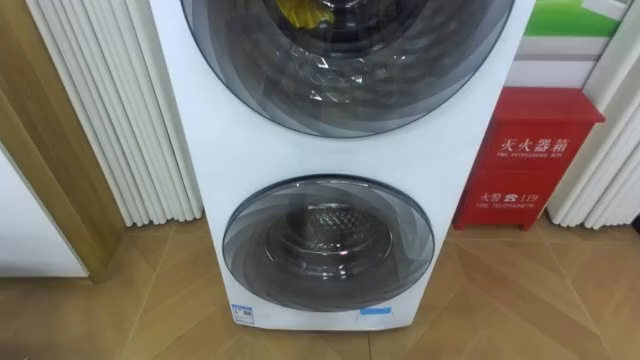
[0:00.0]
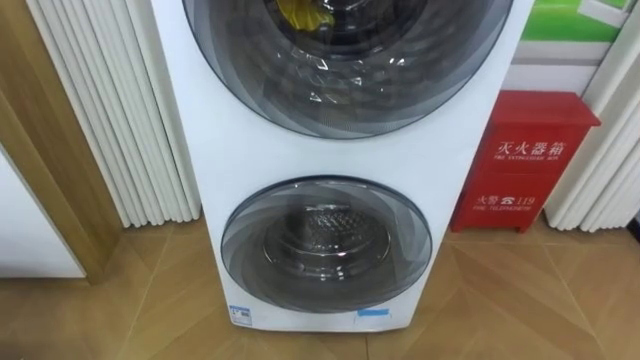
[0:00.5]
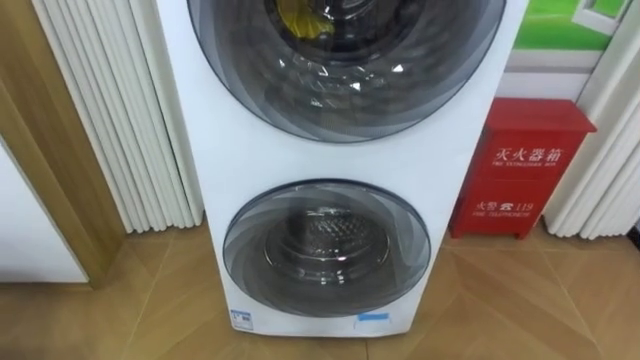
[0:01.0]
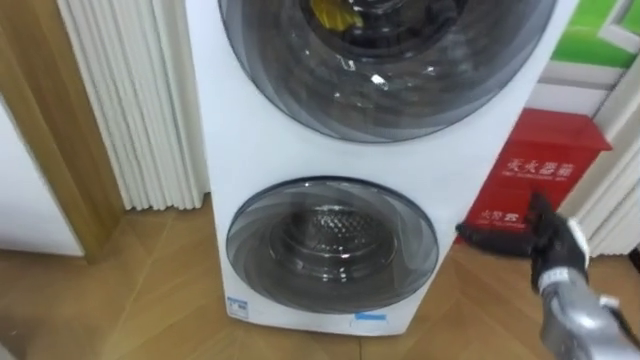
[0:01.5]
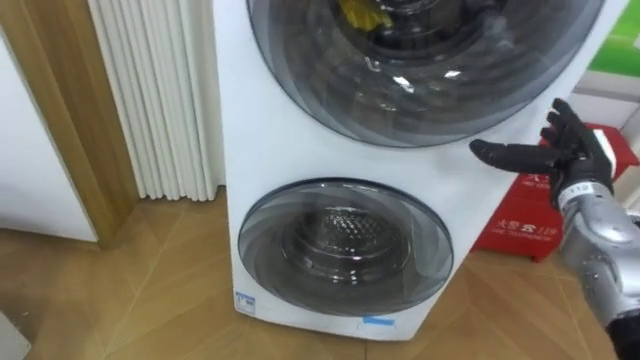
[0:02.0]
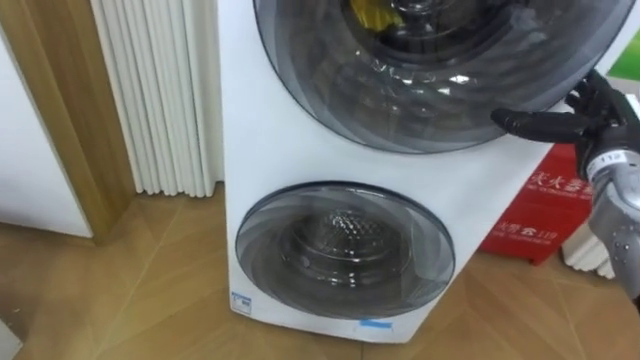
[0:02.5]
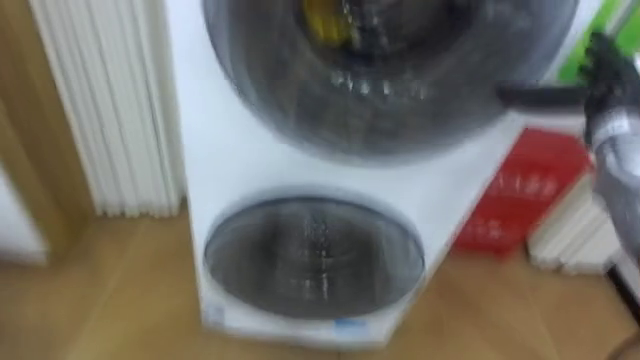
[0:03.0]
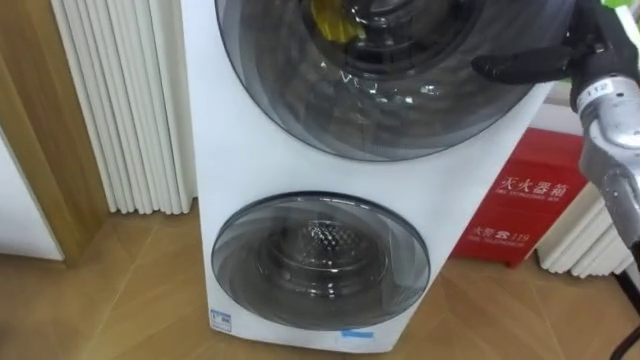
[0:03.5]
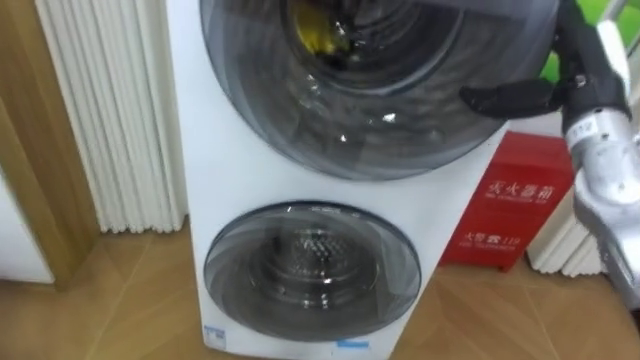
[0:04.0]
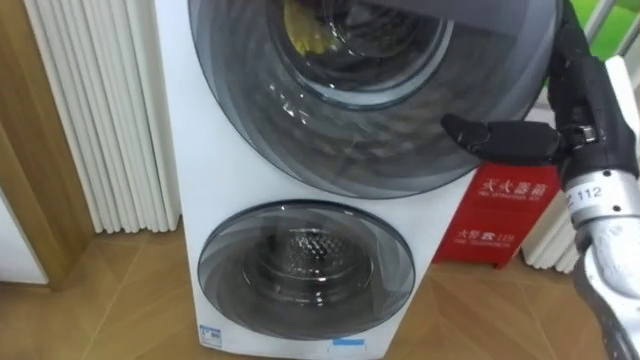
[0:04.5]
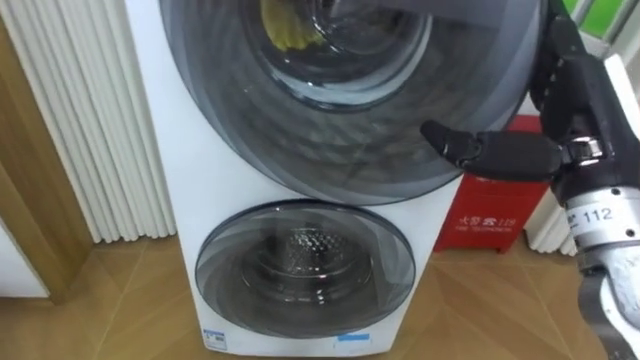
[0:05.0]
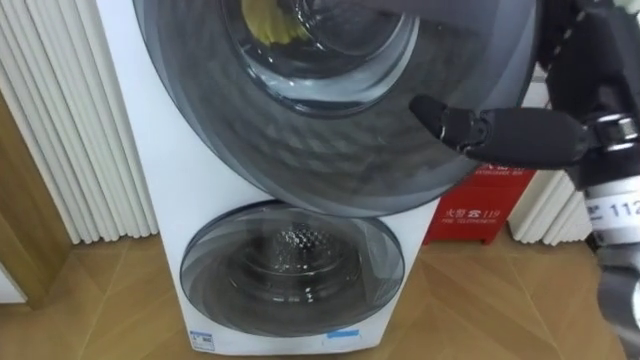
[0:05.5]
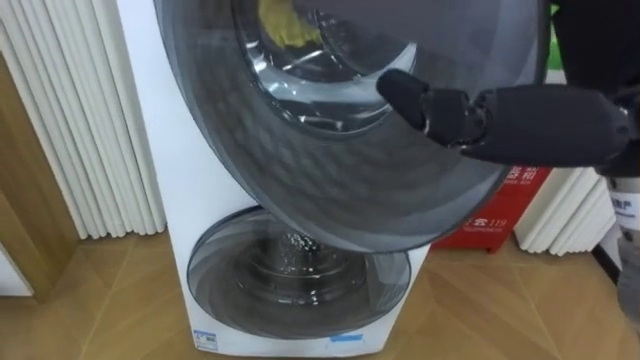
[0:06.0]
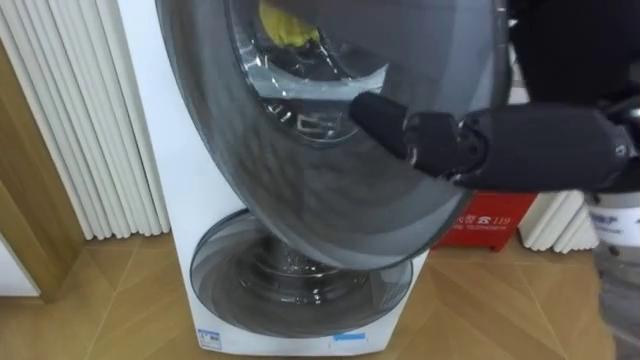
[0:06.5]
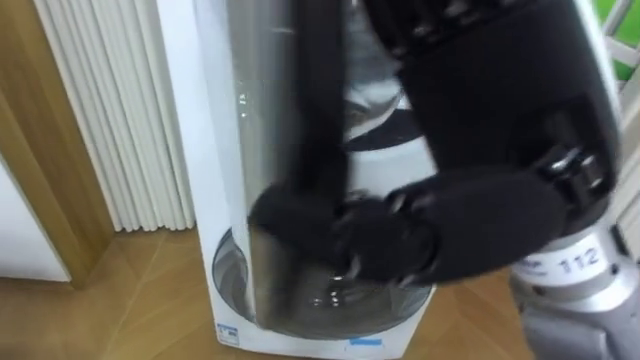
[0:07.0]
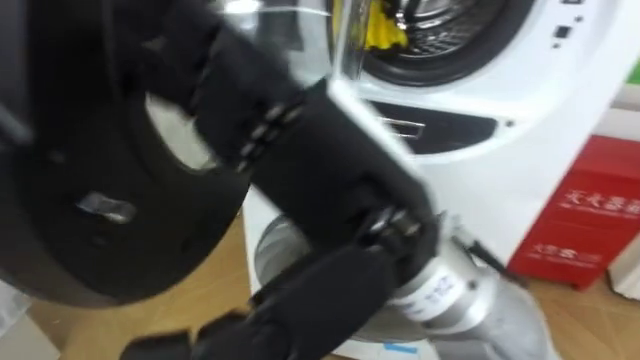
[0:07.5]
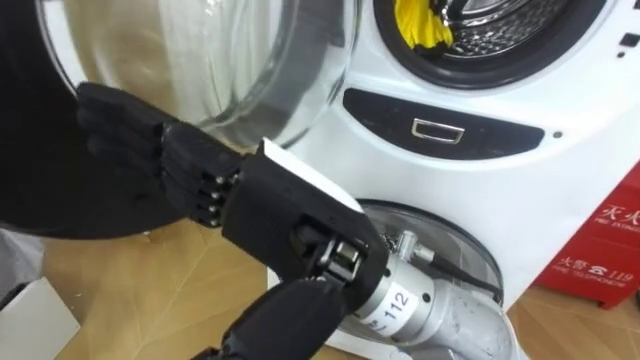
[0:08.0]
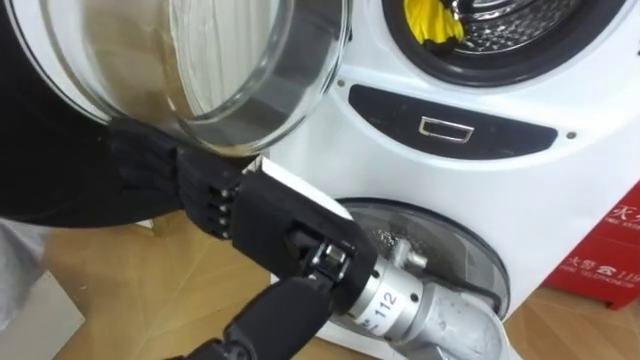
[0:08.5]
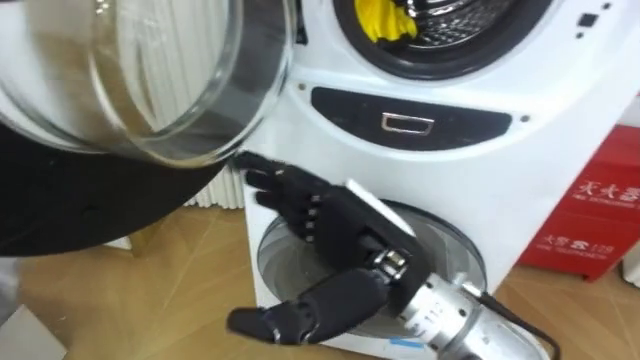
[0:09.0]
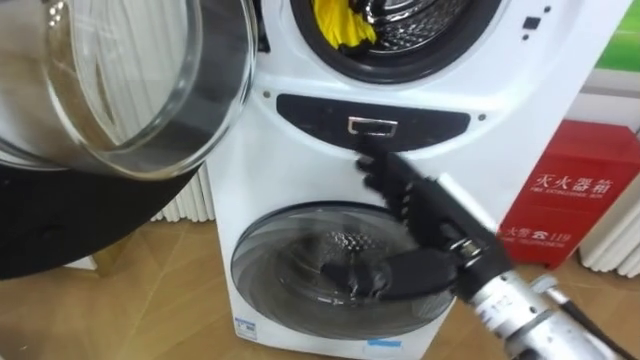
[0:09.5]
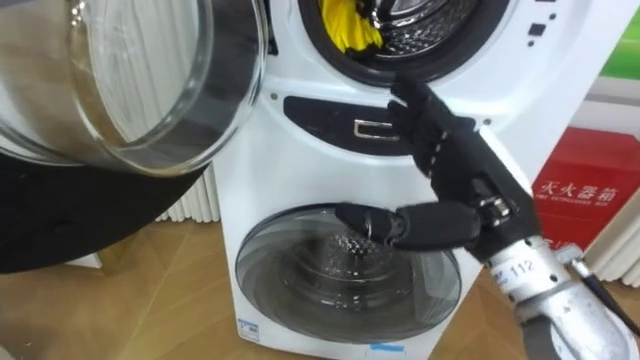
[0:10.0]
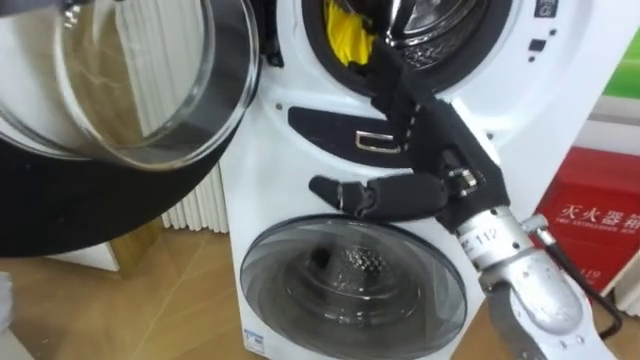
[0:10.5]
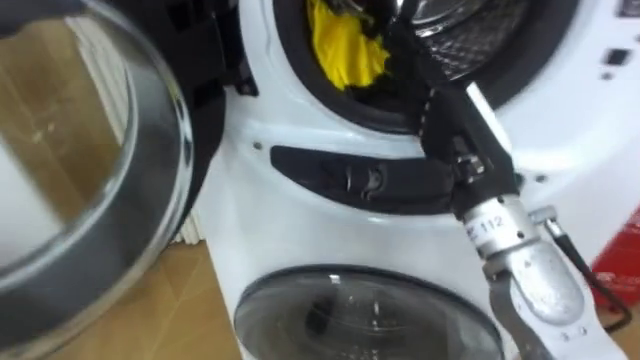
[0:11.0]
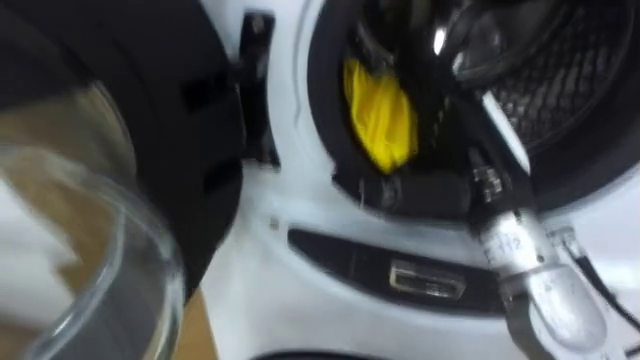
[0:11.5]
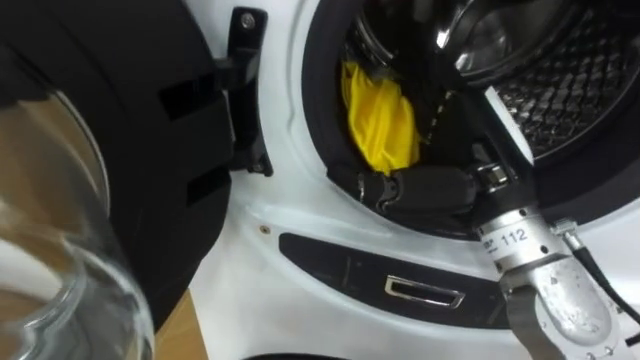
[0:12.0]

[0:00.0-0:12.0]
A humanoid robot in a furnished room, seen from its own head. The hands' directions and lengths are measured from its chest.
Task of the whole recording: Open the washing machine door, take out the yellow clothes, place them in the box on the right, and close the washing machine door.
0:02.0 to 0:04.0: The right hand goes roughly 10 cm upward.
0:04.0 to 0:06.0: The right hand heads backward, upward and to the left, covering about 20 cm.
0:06.0 to 0:08.0: The right hand heads to the left and downward, covering approximately 20 cm.
0:08.0 to 0:10.0: The right hand travels to the right and forward by about 20 cm.

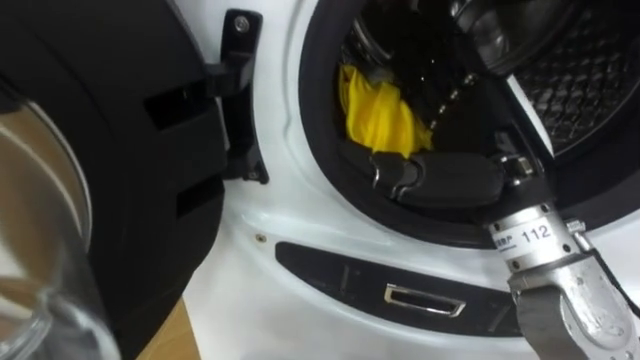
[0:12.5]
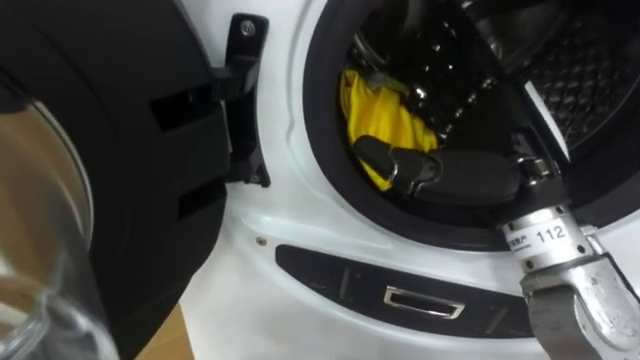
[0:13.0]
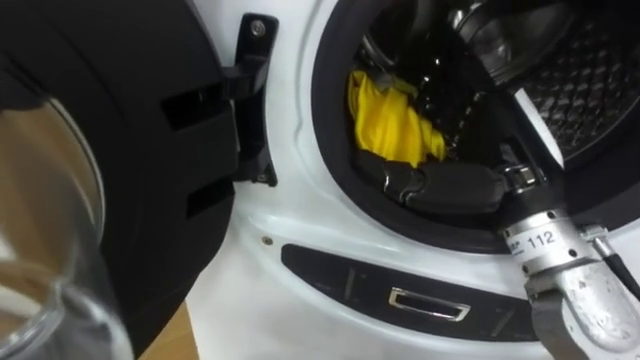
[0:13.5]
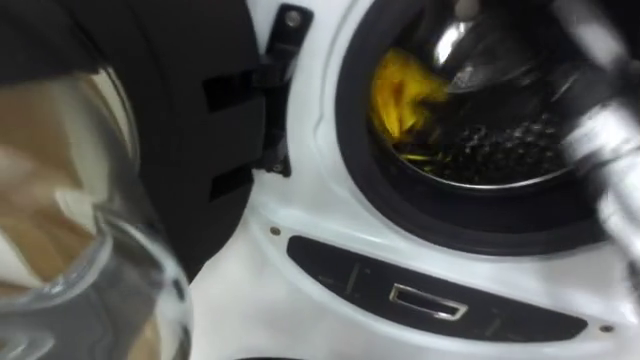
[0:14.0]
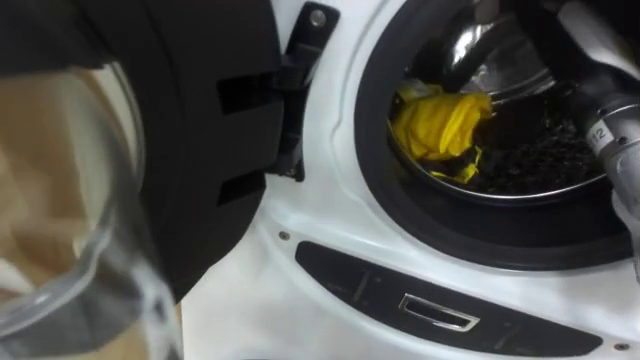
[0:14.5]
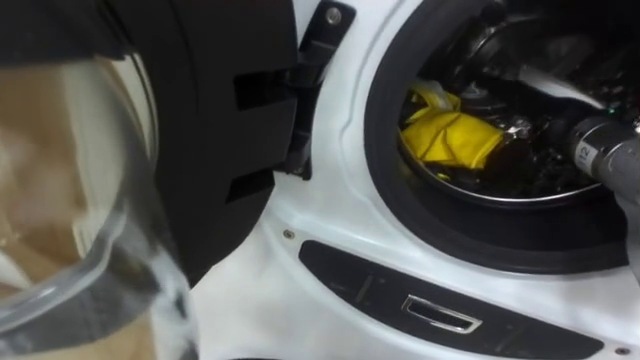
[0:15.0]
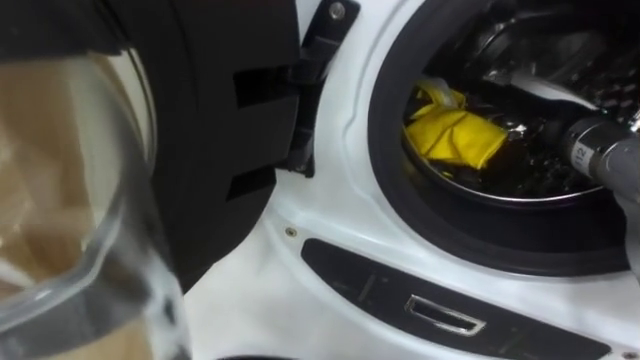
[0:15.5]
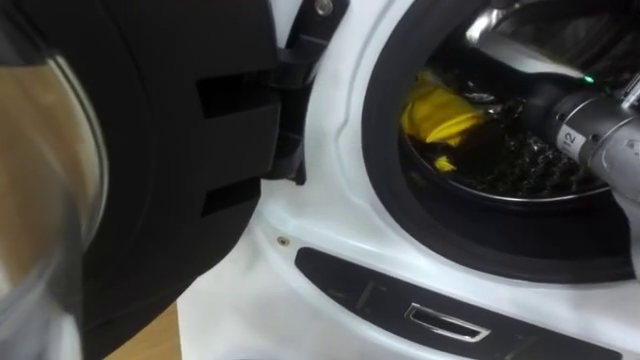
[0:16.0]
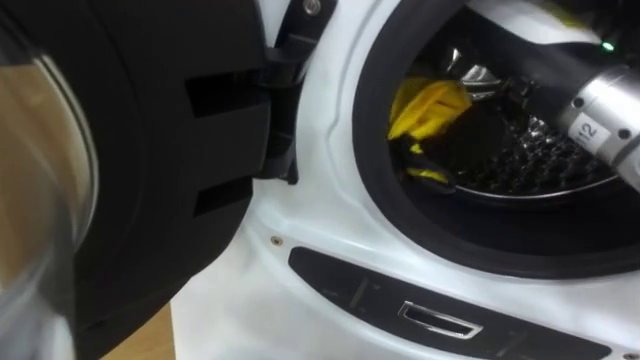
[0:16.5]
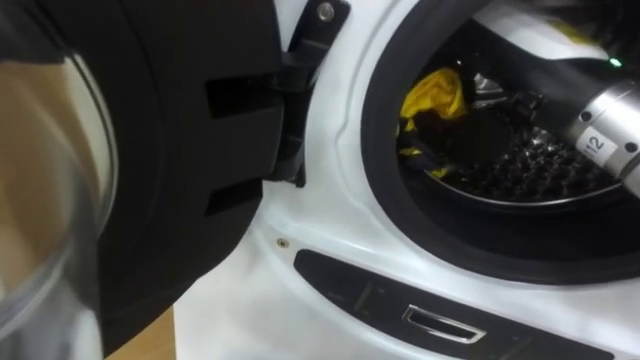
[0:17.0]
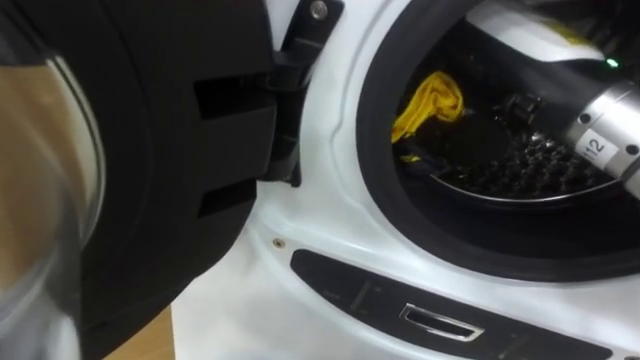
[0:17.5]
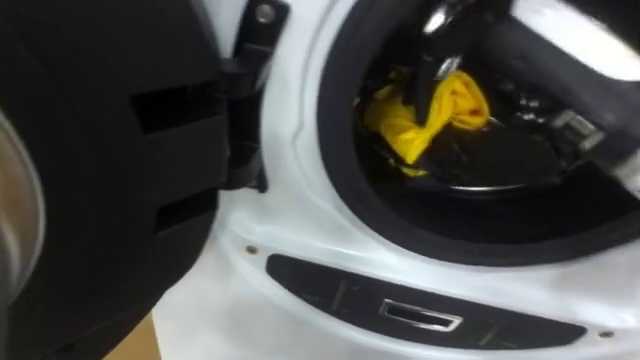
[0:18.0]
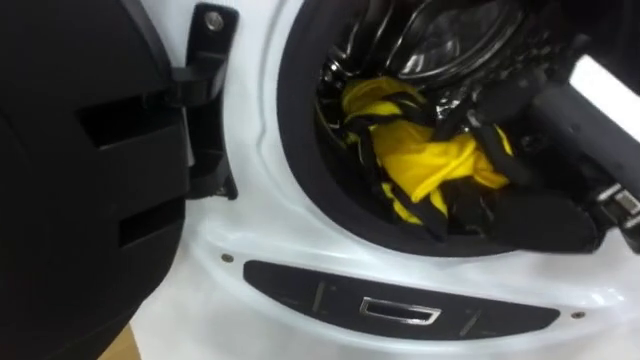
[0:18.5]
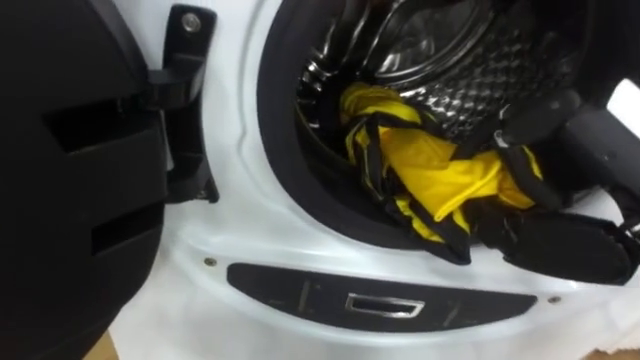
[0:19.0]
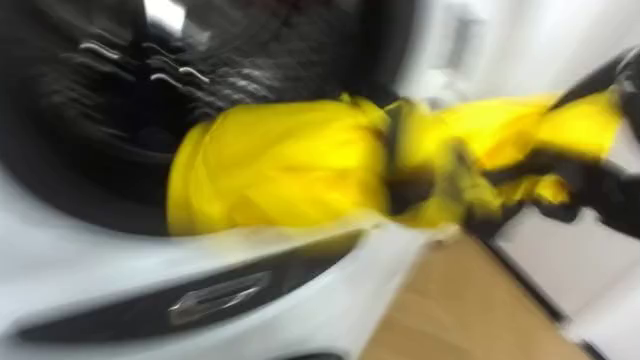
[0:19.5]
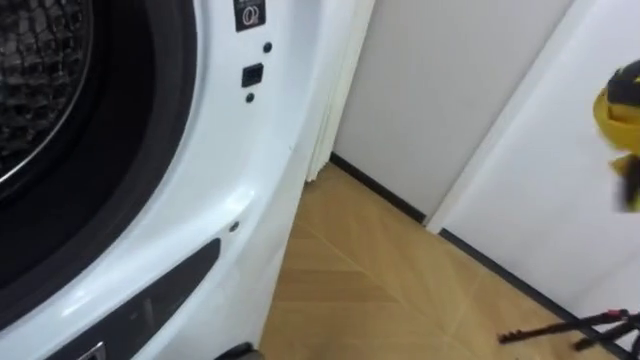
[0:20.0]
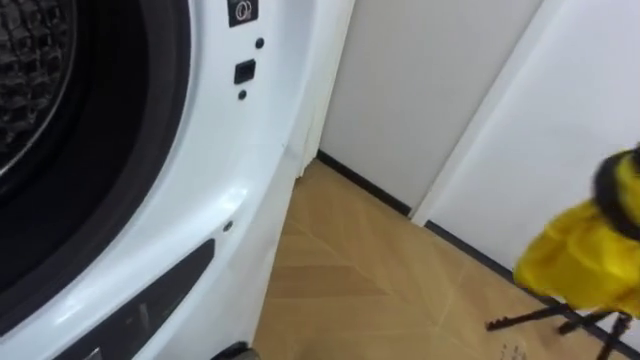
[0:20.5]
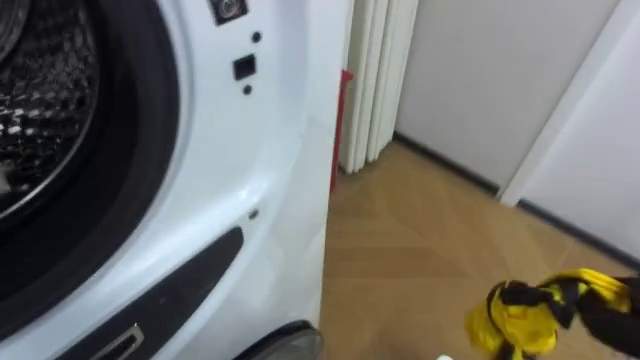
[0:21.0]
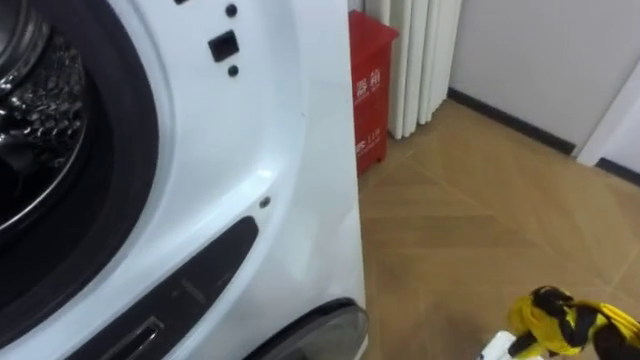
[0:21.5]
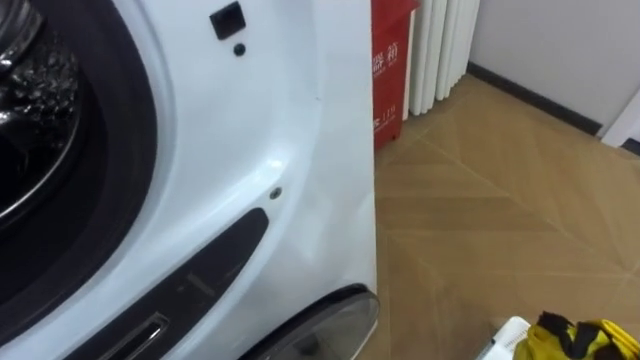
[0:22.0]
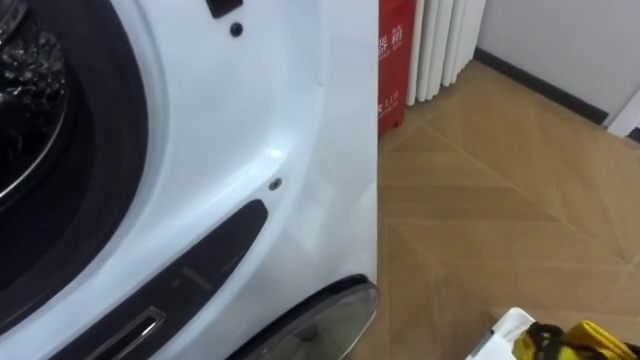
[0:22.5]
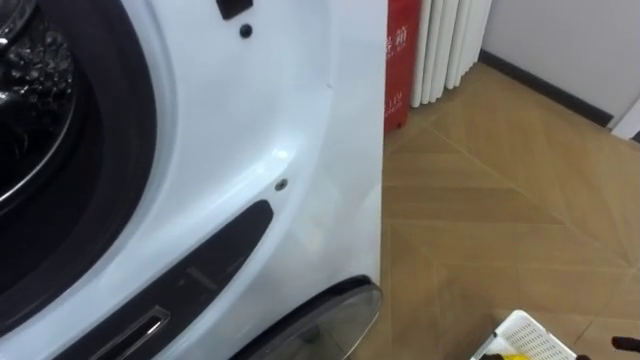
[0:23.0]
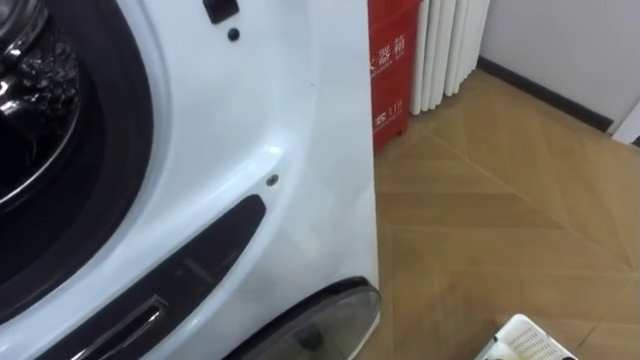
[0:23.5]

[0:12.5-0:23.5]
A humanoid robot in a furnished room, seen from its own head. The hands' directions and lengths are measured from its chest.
Task of the whole recording: Open the washing machine door, take out the yellow clothes, place them in the box on the right, and close the washing machine door.
0:12.5 to 0:14.5: The right hand heads to the right and forward, covering approximately 10 cm.
0:14.5 to 0:16.0: The right hand moves to the left, approximately 5 cm.
0:16.0 to 0:18.0: The right hand moves backward and upward, roughly 10 cm, and closes up.
